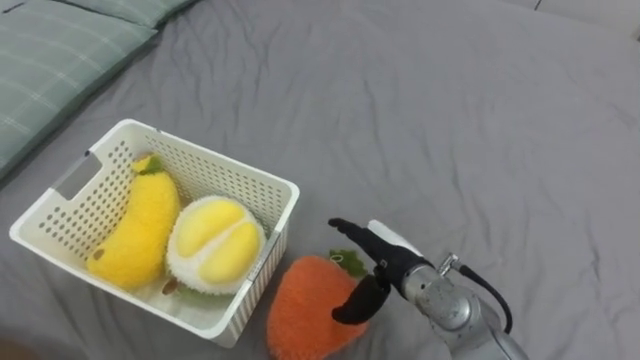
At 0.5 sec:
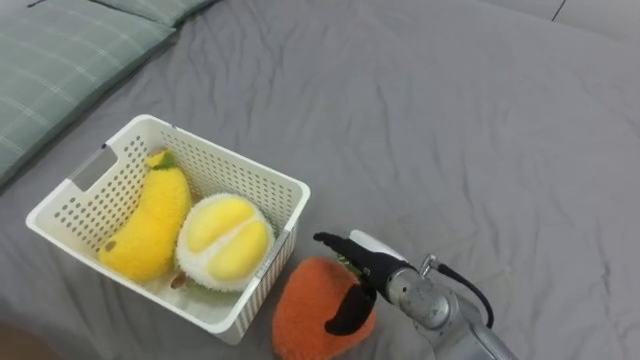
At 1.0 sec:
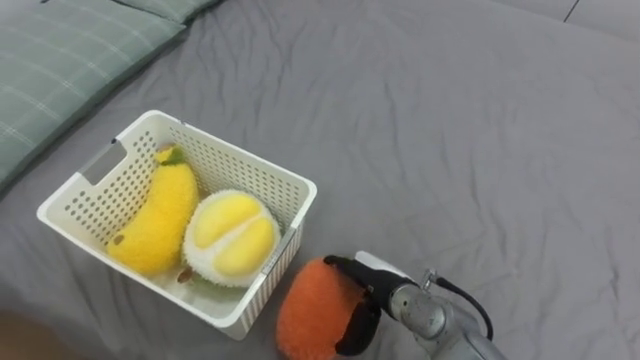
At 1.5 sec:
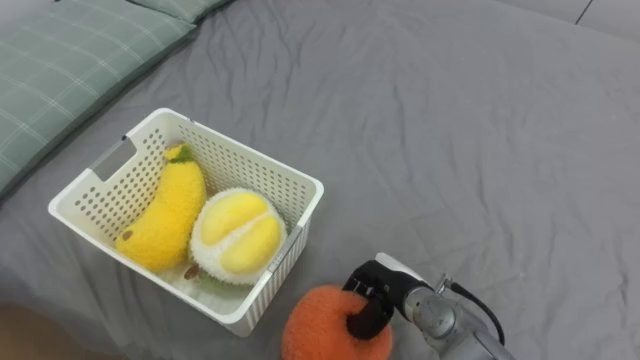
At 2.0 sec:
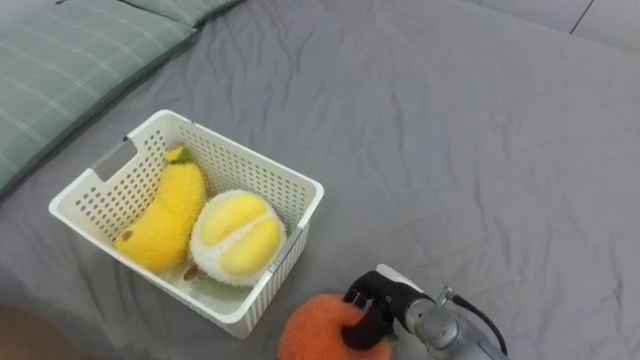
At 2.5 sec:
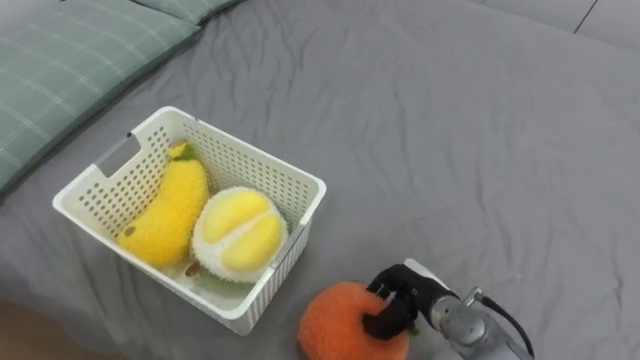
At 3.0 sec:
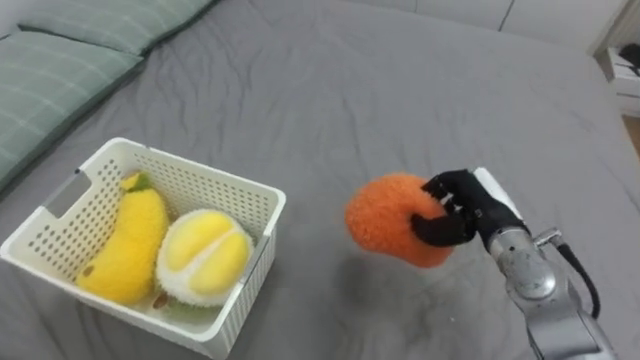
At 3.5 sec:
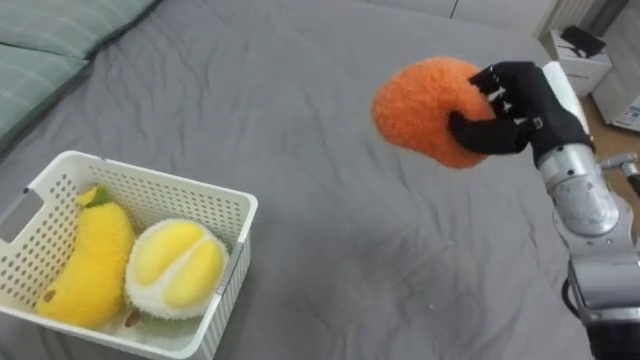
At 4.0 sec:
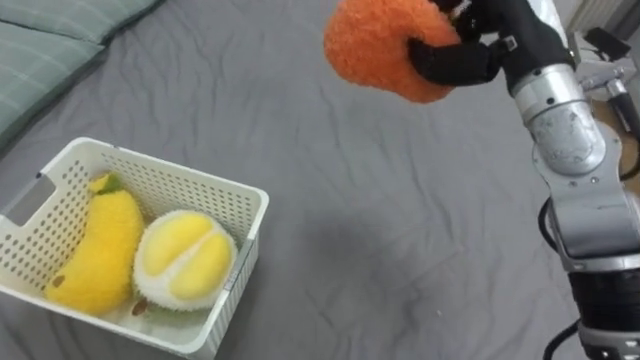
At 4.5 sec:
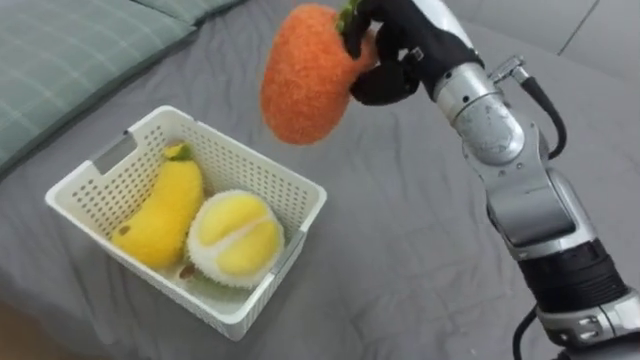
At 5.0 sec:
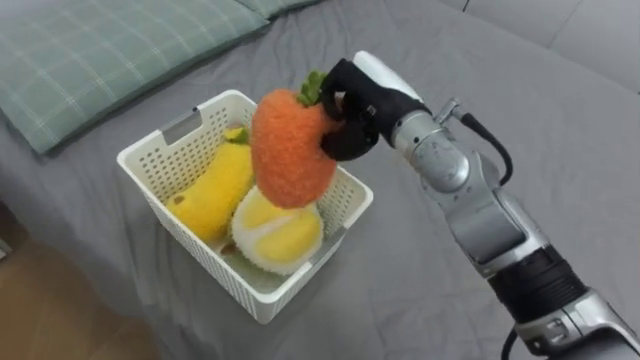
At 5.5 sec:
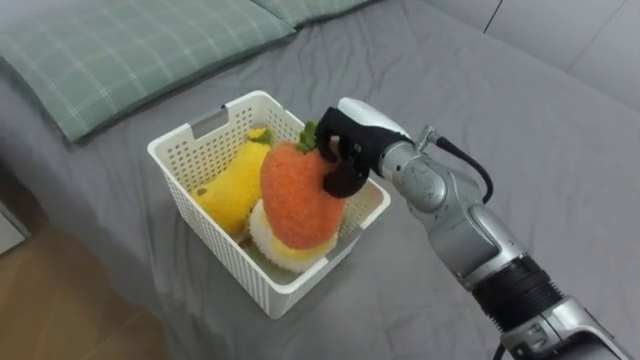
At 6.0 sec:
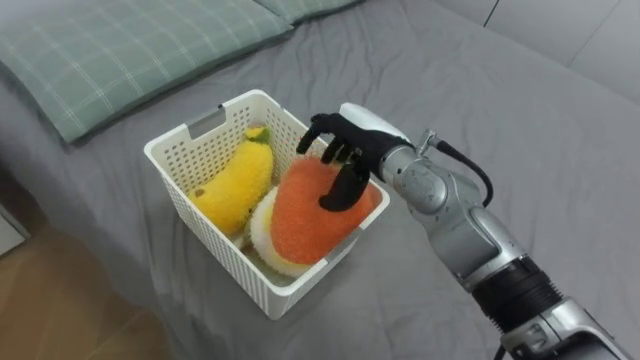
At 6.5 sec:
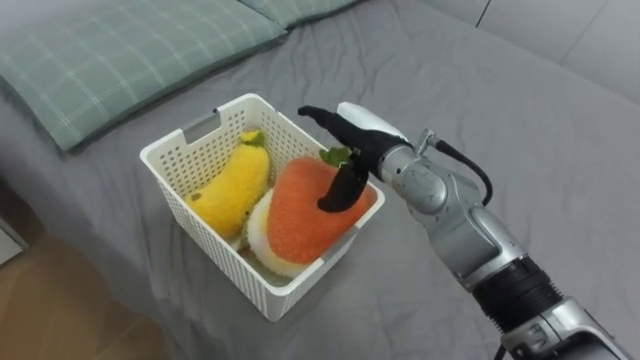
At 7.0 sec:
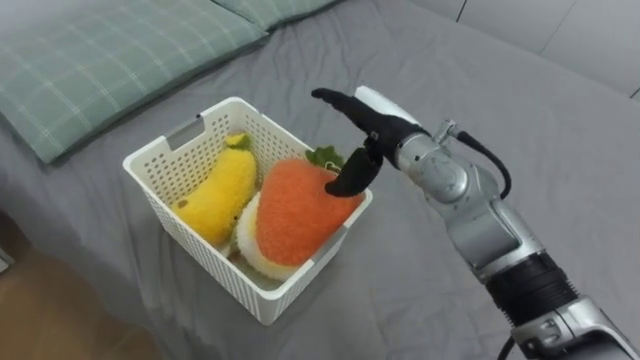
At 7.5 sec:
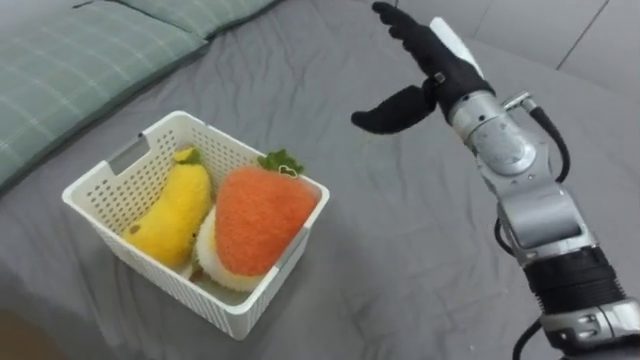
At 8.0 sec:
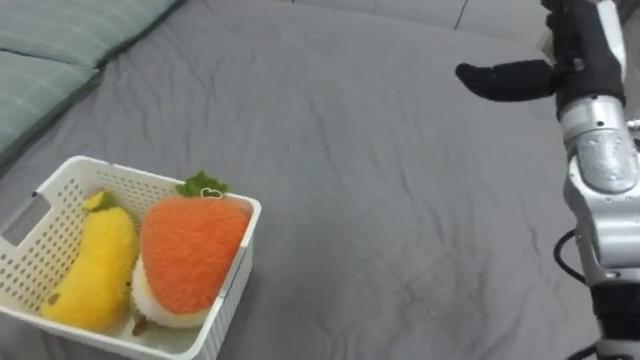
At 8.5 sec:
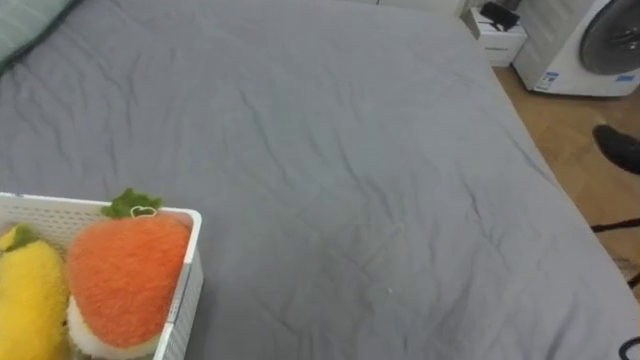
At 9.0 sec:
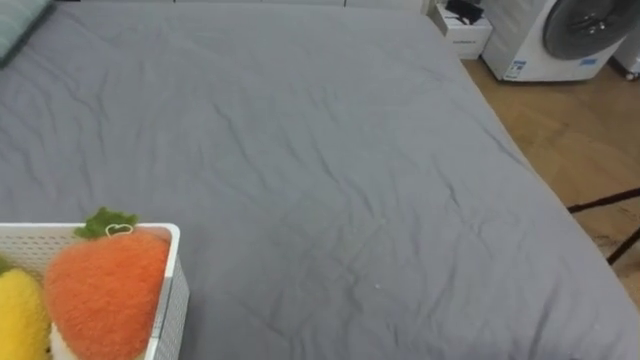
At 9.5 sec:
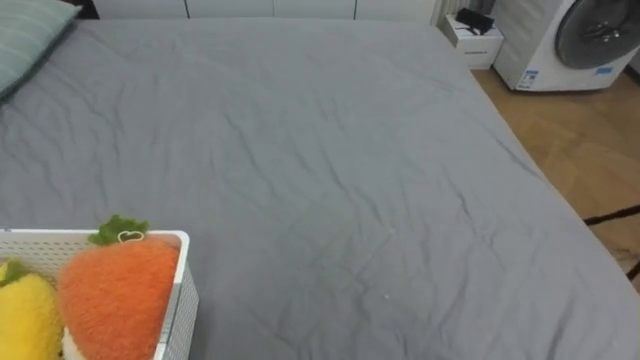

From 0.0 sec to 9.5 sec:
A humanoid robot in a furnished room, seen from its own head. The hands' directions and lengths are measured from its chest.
Task of the whole recording: Put the toys on the bed into the basket on the left.
From 0.0 sec to 2.0 sec: The right hand heads downward, covering approximately 10 cm, and closes up.
From 2.0 sec to 4.0 sec: The right hand goes about 35 cm upward.
From 4.0 sec to 5.5 sec: The right hand moves to the left and downward, approximately 20 cm.
From 5.5 sec to 7.5 sec: The right hand travels to the right and upward by roughly 10 cm, and opens up.

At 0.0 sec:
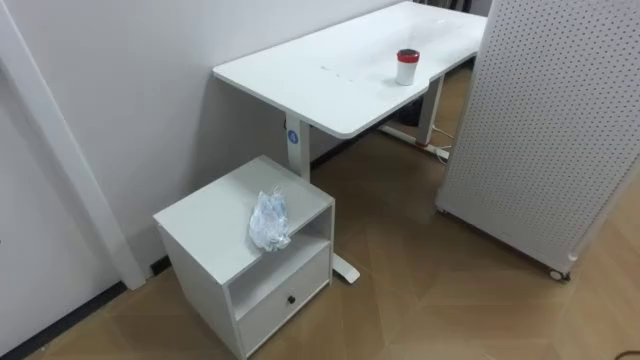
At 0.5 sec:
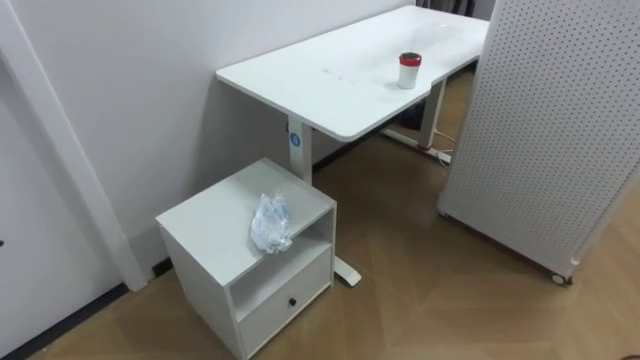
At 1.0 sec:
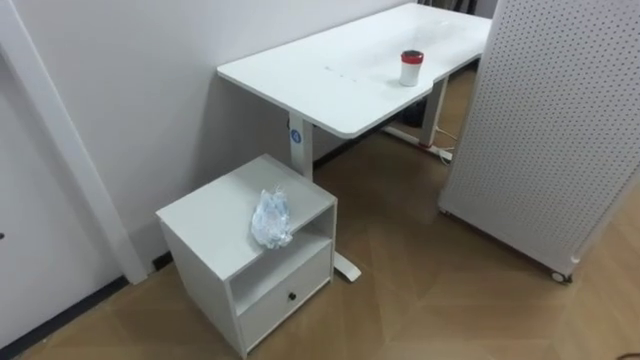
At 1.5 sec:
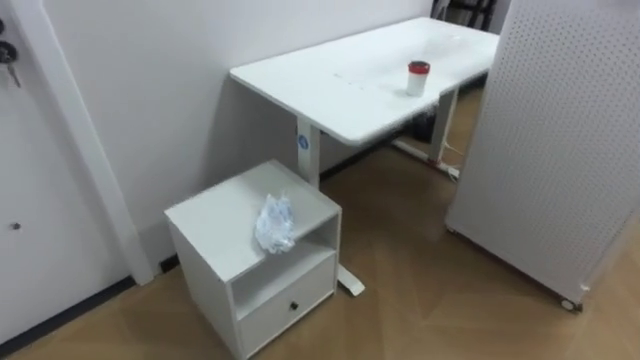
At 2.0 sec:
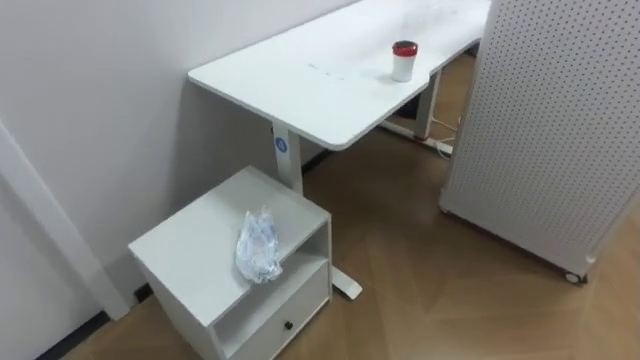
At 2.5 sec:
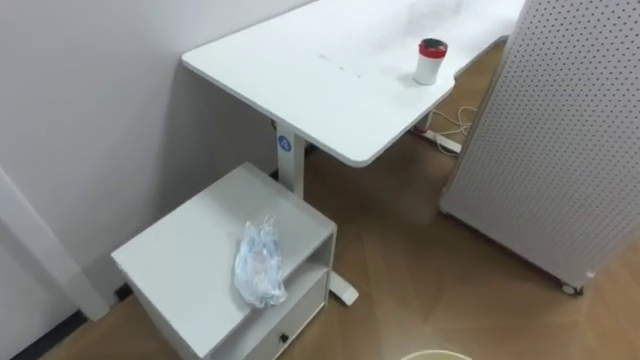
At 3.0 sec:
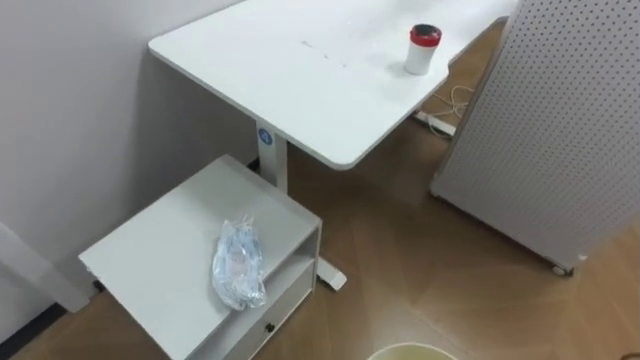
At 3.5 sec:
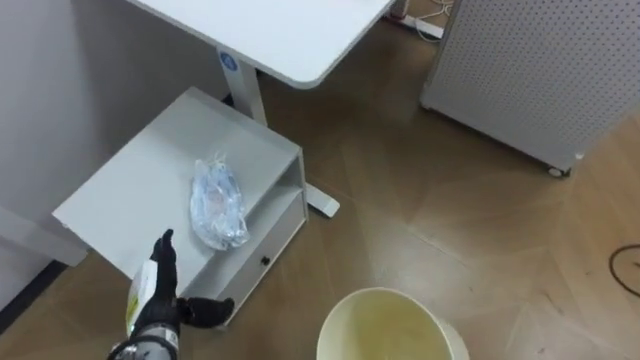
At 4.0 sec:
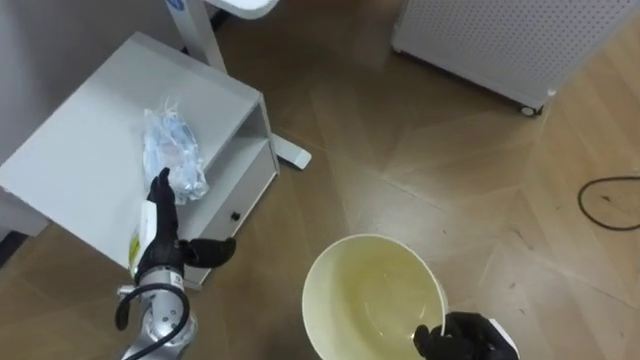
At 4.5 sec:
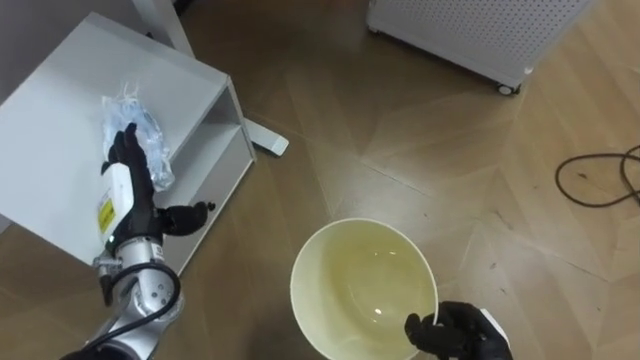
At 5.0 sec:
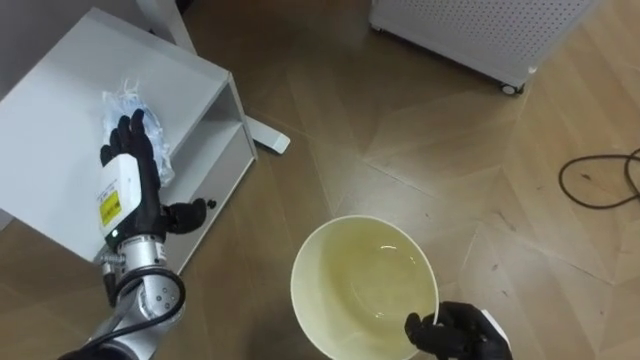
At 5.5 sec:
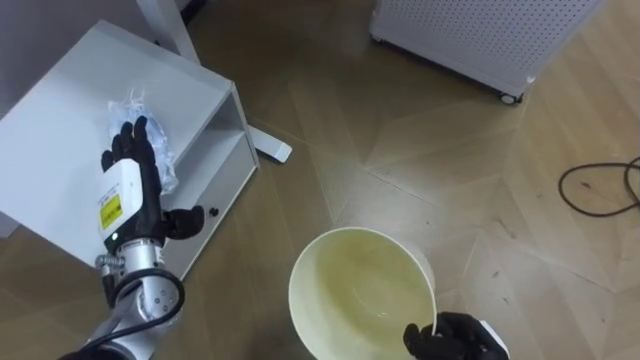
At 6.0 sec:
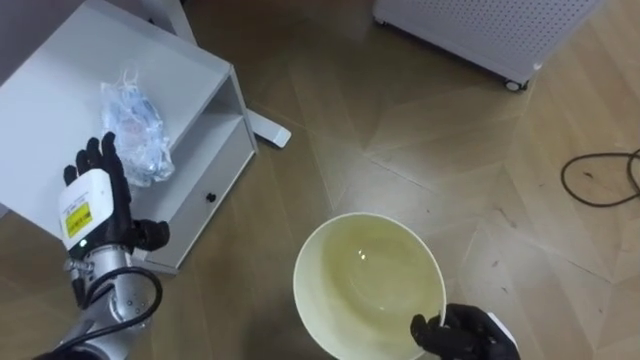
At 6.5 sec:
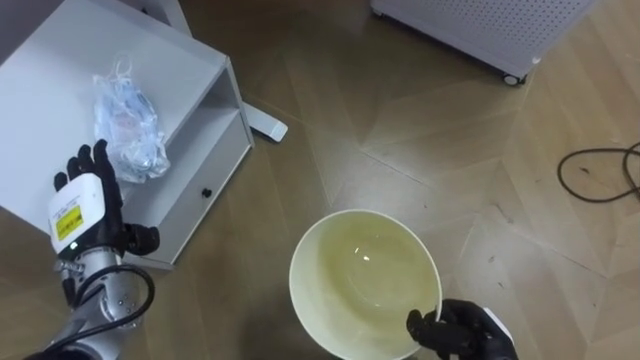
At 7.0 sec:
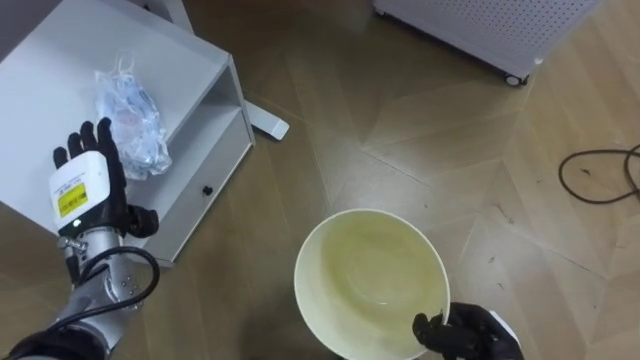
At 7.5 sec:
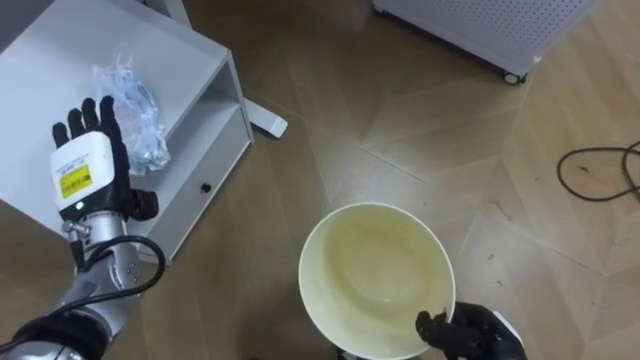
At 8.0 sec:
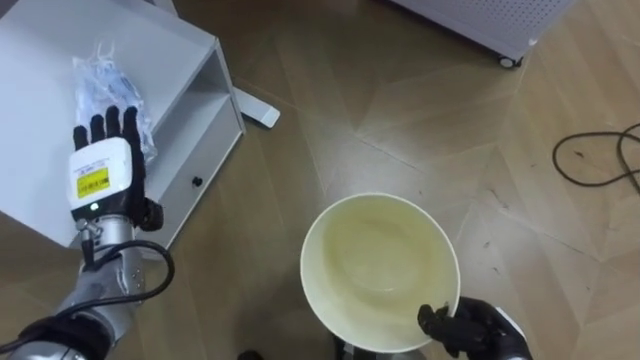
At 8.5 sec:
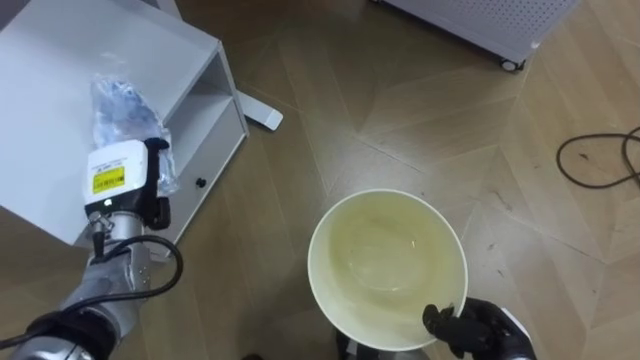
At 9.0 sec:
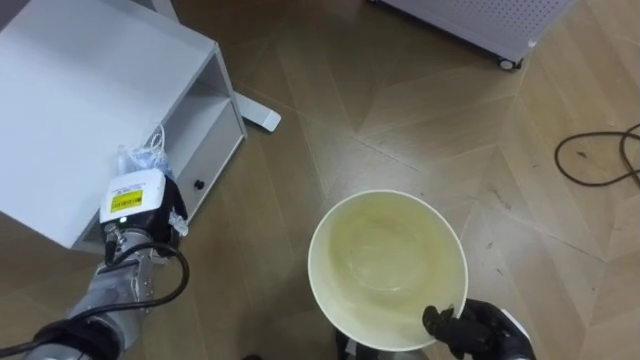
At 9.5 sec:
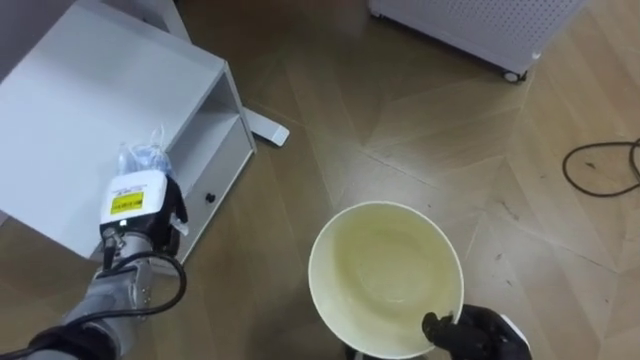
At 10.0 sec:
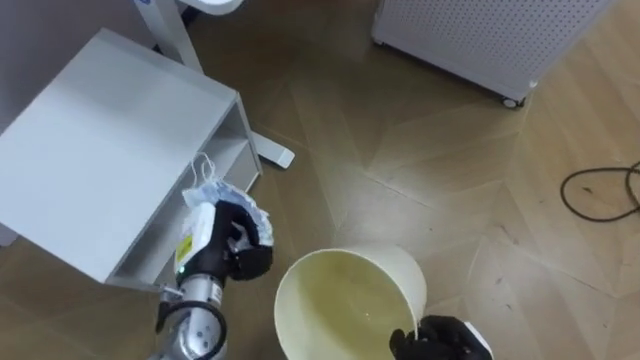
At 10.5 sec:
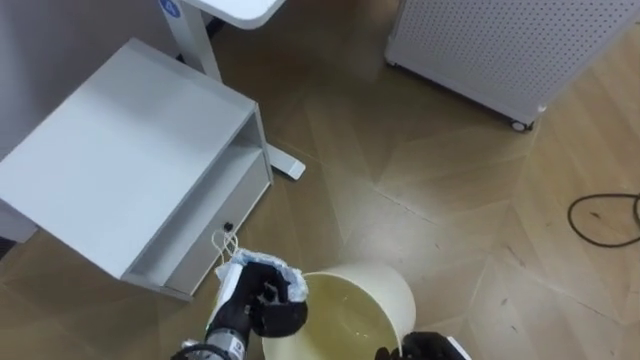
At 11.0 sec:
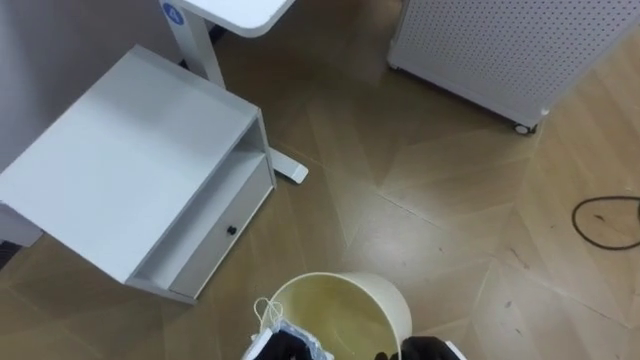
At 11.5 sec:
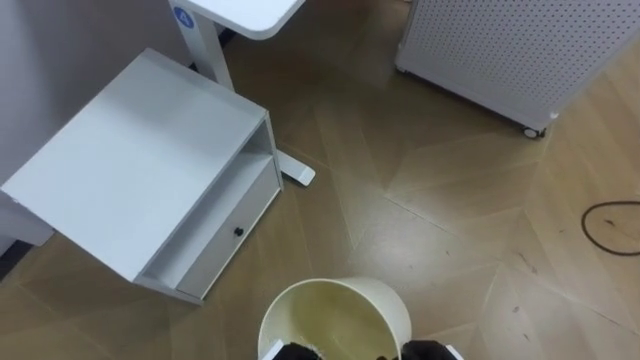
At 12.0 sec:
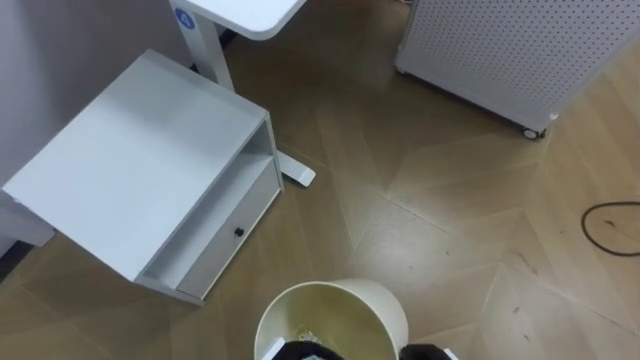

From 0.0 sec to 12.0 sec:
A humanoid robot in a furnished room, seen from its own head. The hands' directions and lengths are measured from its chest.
Task of the whole recording: Pick up the light blue package, the candy box, and the dark blue package separately, and put them into the trash can held in your right hand.
From 4.0 sec to 6.0 sec: The left hand is displaced to the left and upward by about 10 cm.
From 8.0 sec to 10.0 sec: The left hand goes approximately 10 cm to the right and downward, and closes.
